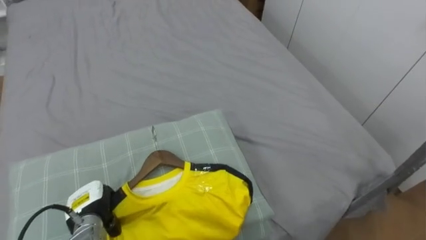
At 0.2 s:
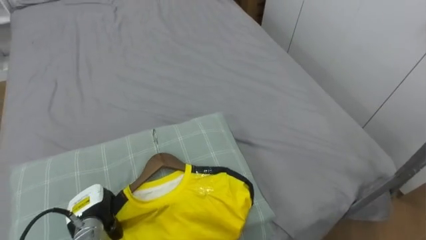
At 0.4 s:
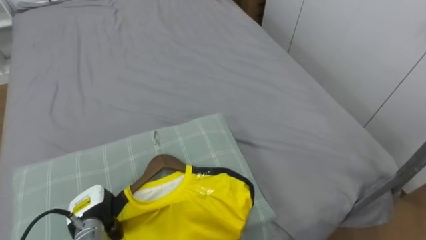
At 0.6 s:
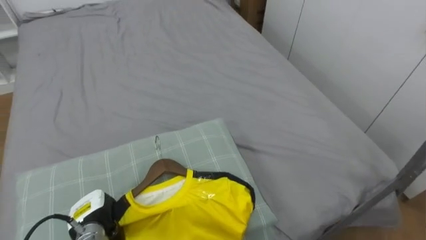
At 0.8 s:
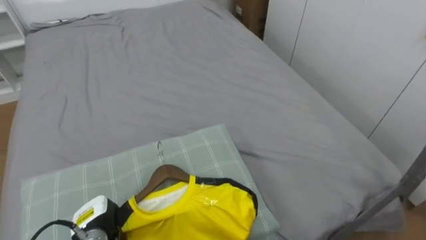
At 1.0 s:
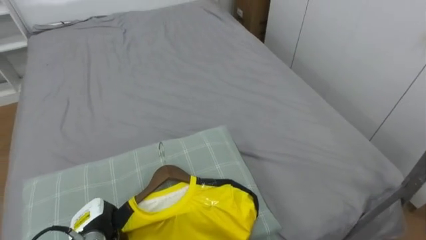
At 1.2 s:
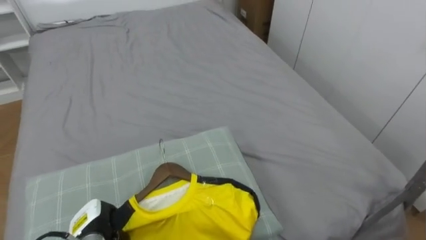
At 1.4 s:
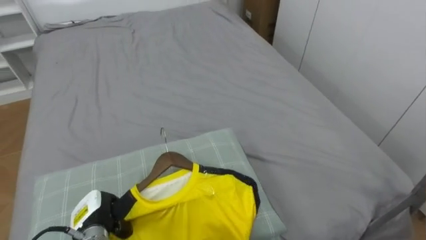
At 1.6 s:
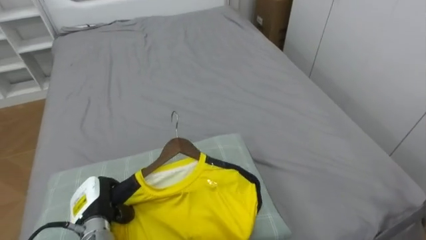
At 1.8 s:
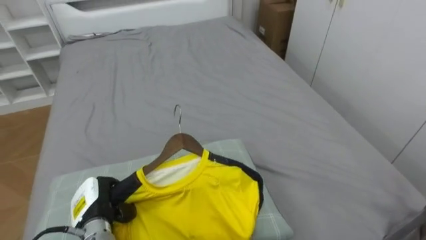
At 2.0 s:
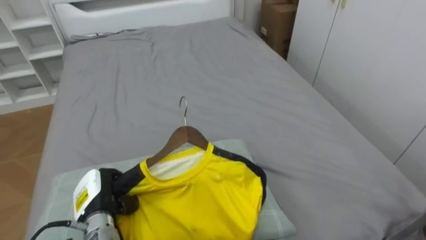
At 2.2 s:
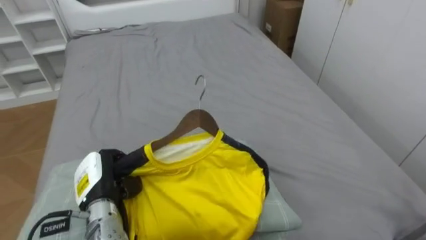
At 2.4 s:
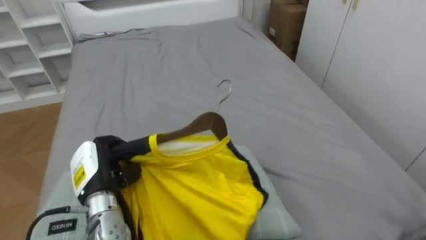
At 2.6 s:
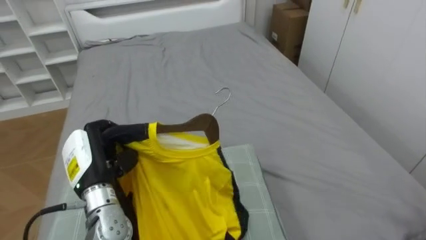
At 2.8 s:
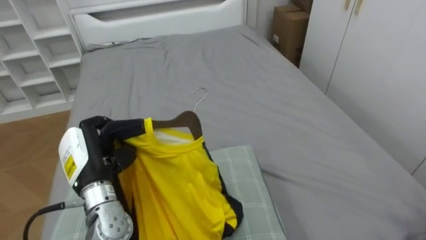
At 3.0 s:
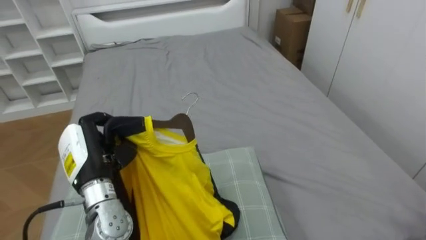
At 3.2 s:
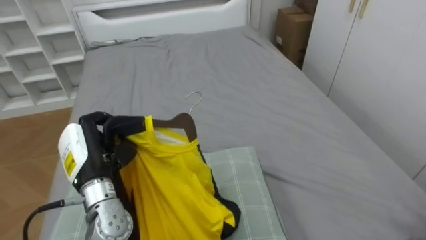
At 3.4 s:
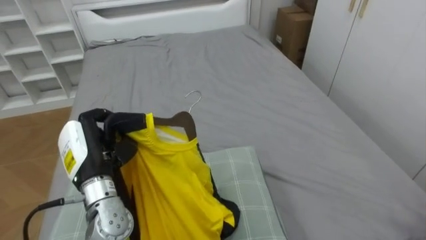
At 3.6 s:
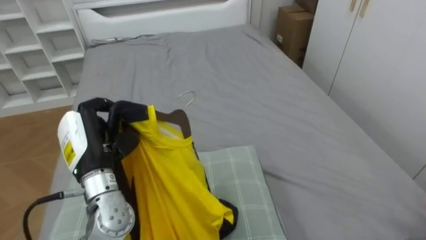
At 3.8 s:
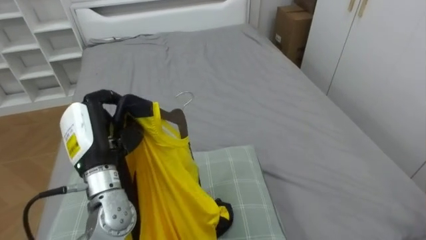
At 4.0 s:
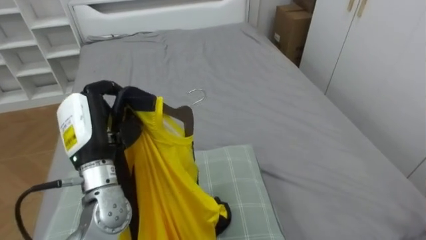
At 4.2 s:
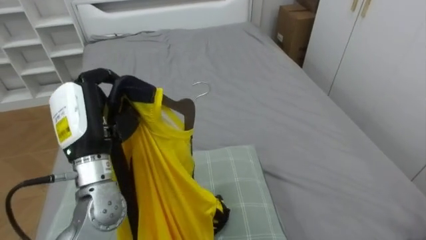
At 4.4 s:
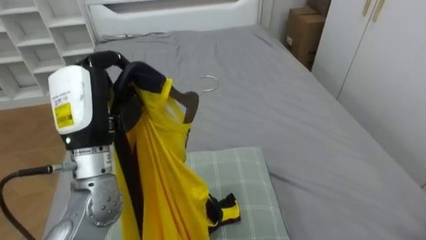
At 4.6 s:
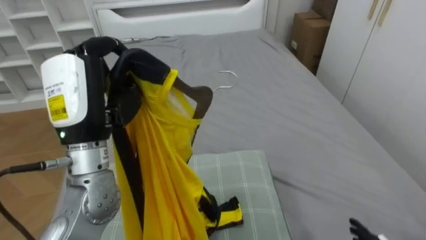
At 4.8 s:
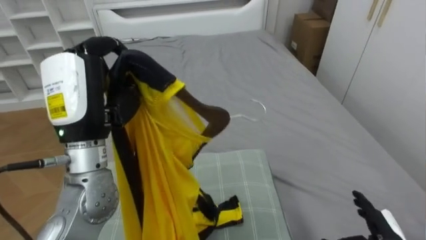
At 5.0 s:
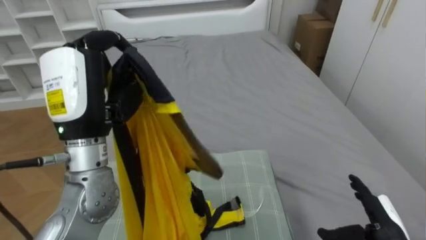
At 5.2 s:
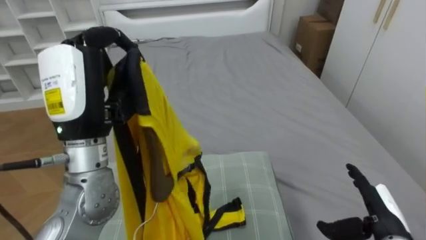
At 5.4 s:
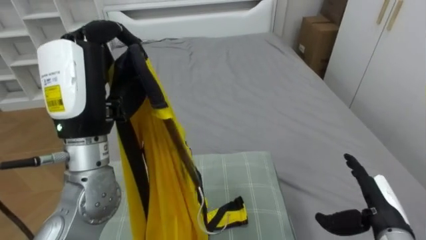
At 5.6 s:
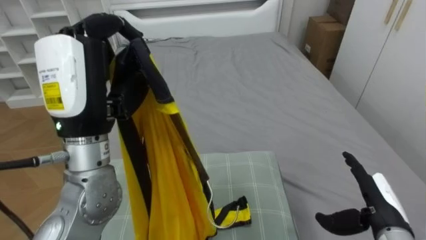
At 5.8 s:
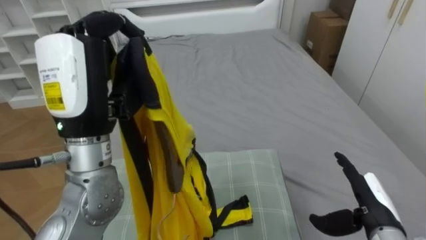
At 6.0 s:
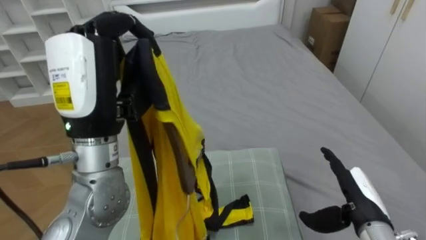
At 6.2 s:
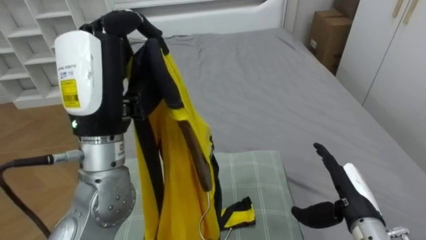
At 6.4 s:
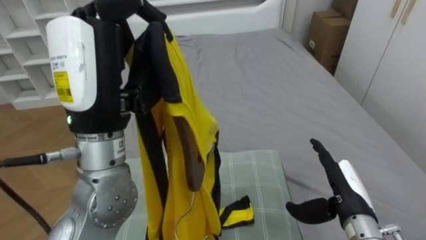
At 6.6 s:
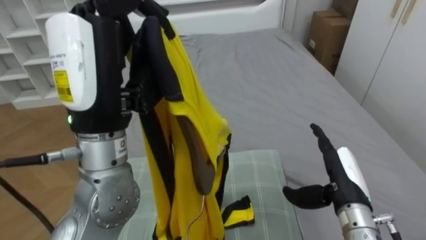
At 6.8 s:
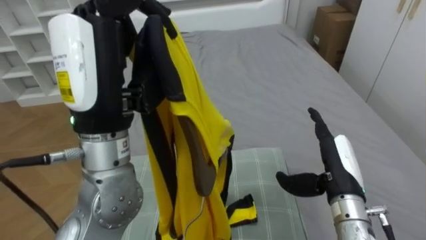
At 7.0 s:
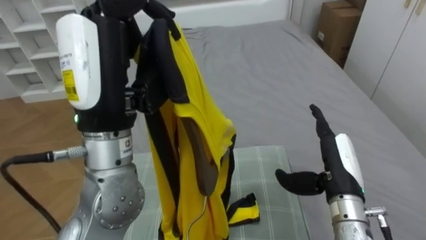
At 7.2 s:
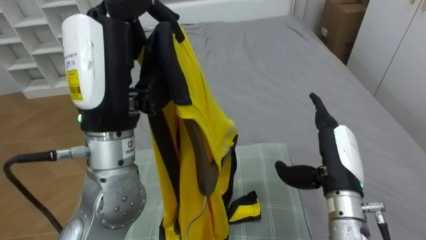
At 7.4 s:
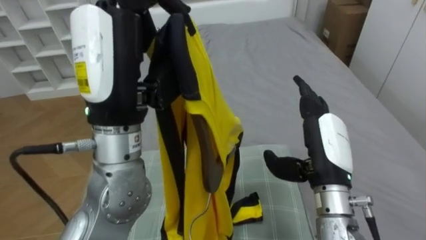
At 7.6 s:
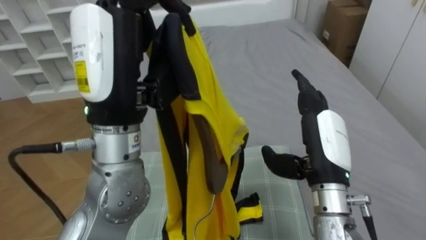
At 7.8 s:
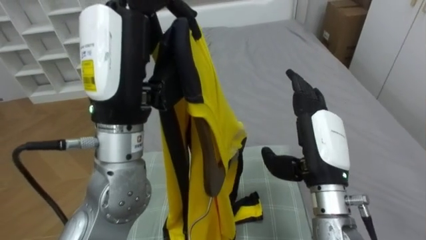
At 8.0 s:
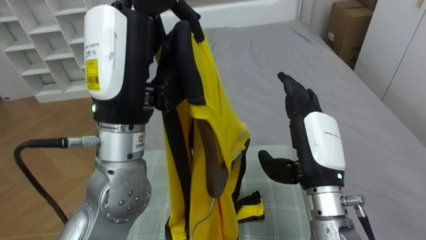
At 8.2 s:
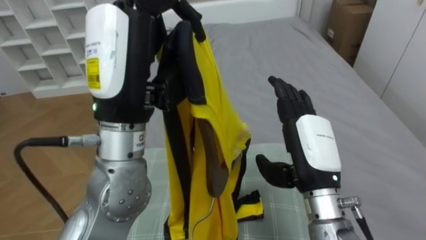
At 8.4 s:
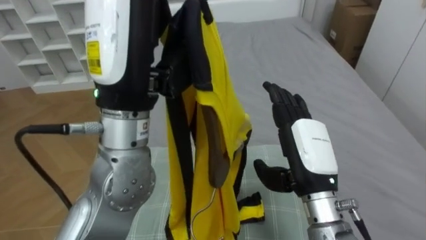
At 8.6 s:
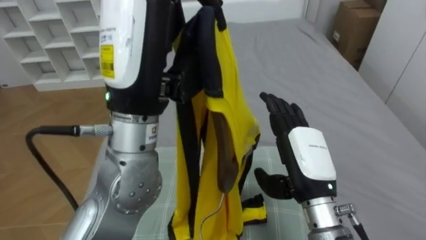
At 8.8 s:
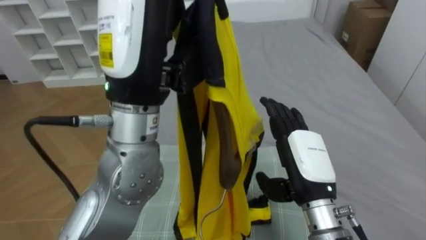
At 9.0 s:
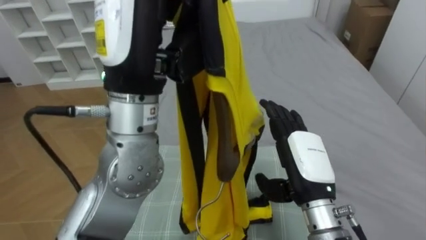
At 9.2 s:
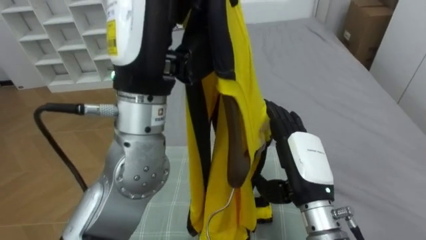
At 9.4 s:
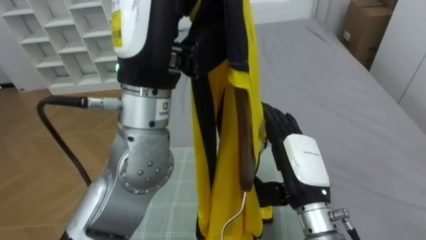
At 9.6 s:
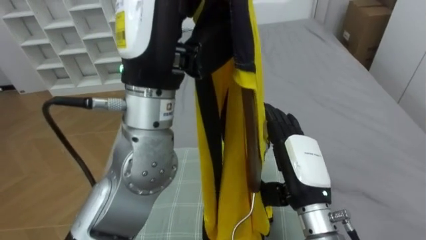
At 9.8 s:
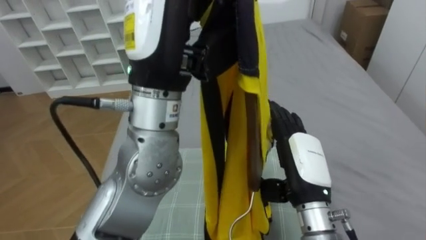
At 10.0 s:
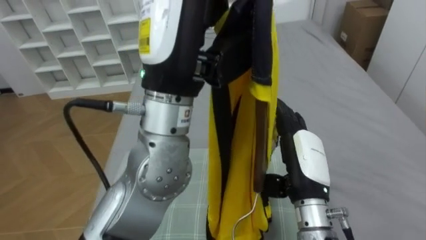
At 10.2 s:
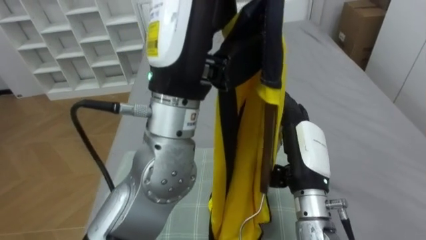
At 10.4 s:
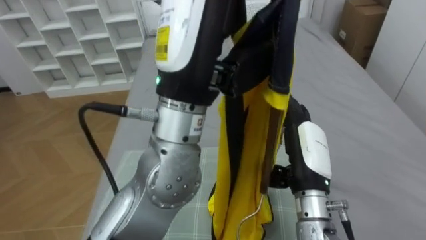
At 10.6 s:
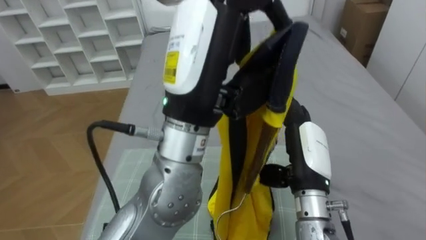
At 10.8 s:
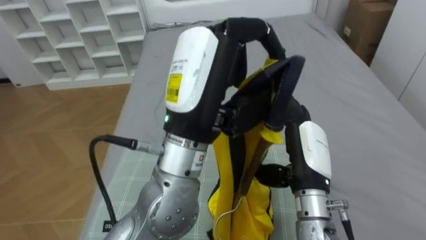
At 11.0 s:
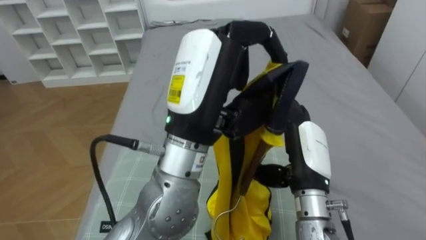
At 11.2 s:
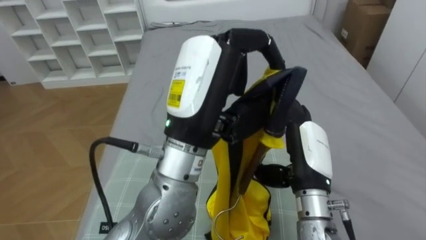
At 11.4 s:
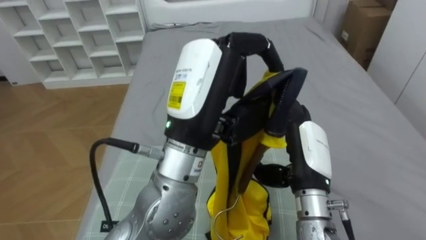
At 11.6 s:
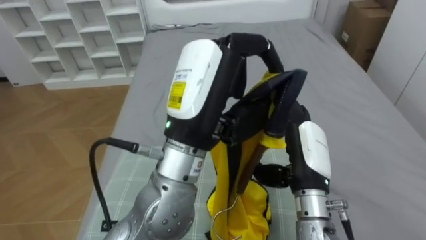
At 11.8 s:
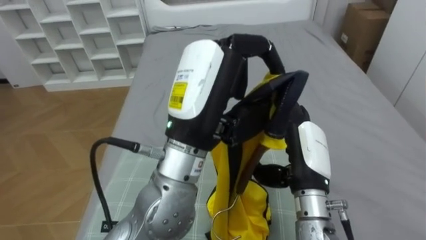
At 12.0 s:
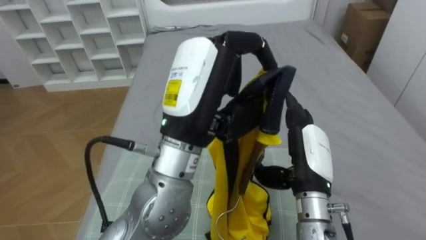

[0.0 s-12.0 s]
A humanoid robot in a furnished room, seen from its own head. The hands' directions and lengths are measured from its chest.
Task of the whole recording: Pick up the yellow shirt on the bed and hang it on the clothes rack on the right.
0.0 to 1.6 s: The left hand closes up.
1.6 to 3.0 s: The left hand shifts approximately 15 cm upward.
3.0 to 4.4 s: The left hand goes about 10 cm upward.
4.4 to 6.0 s: The left hand travels upward by approximately 5 cm.
6.0 to 7.6 s: The left hand ends up approximately 5 cm from where it was. The right hand is displaced upward and to the left by roughly 15 cm.
9.0 to 10.4 s: The left hand moves to the right, approximately 5 cm.
10.4 to 12.0 s: The left hand shifts roughly 5 cm downward.

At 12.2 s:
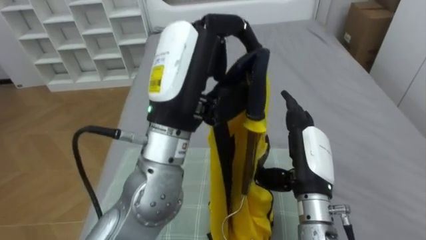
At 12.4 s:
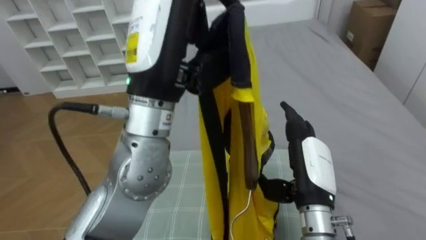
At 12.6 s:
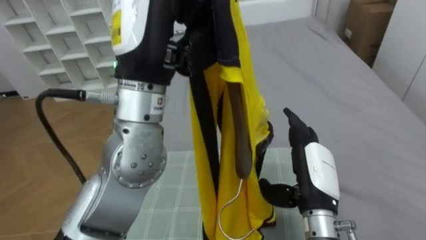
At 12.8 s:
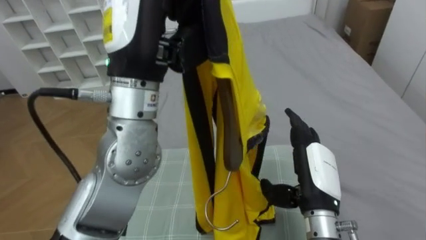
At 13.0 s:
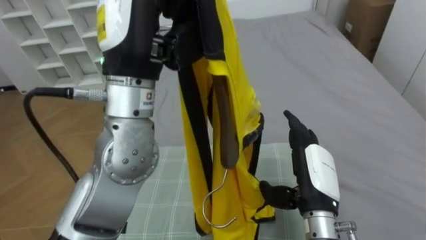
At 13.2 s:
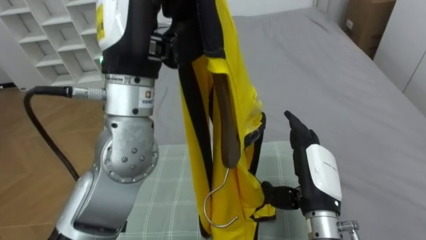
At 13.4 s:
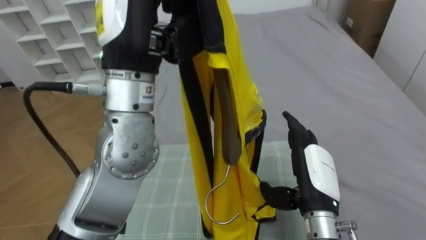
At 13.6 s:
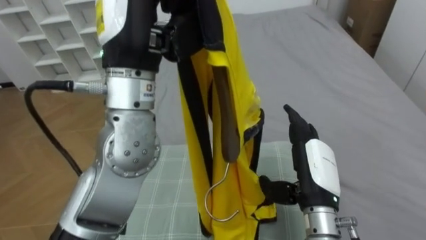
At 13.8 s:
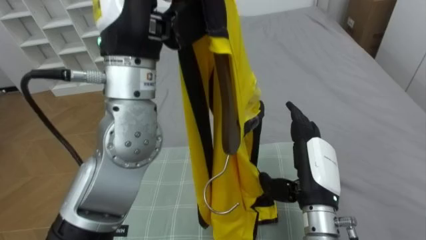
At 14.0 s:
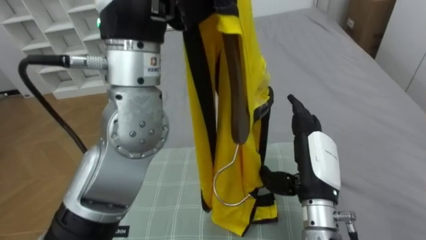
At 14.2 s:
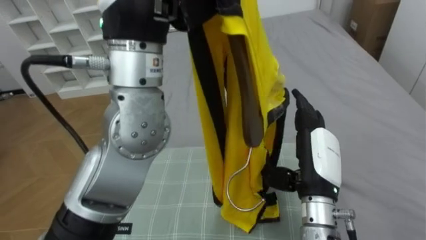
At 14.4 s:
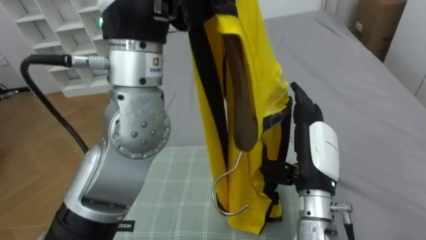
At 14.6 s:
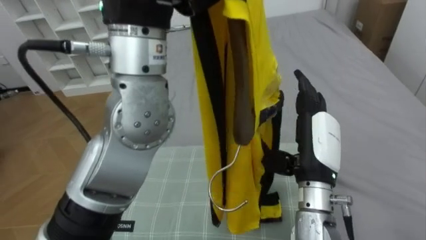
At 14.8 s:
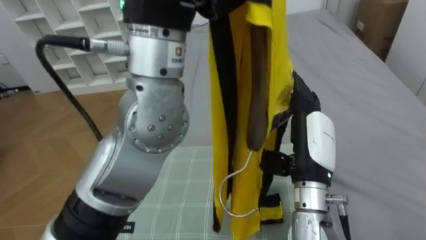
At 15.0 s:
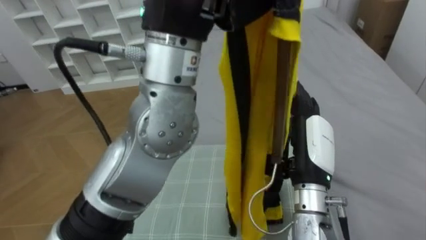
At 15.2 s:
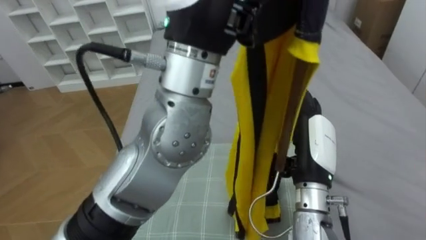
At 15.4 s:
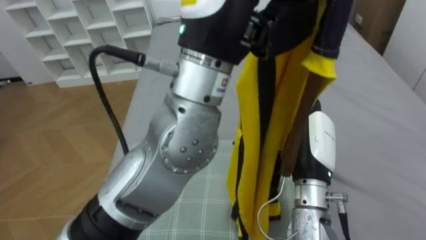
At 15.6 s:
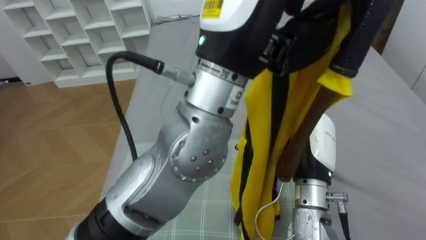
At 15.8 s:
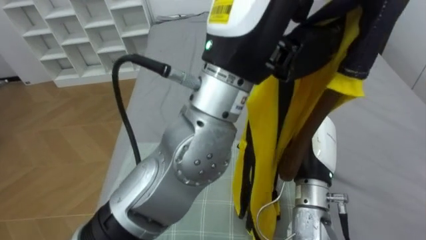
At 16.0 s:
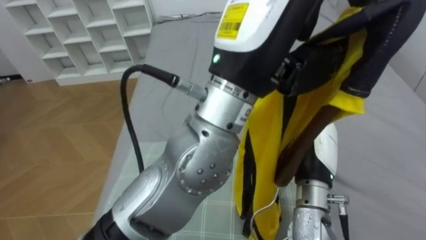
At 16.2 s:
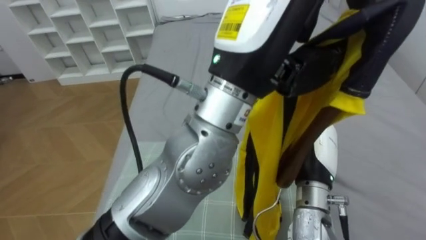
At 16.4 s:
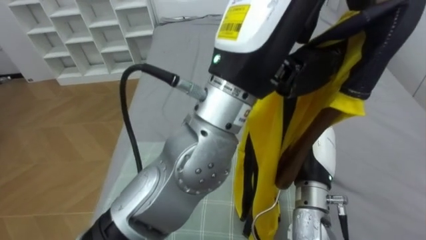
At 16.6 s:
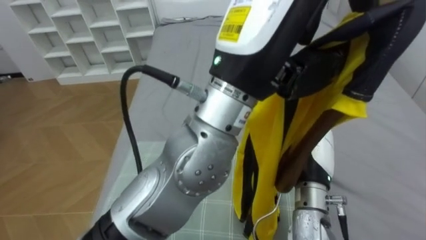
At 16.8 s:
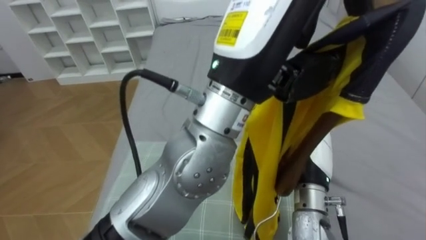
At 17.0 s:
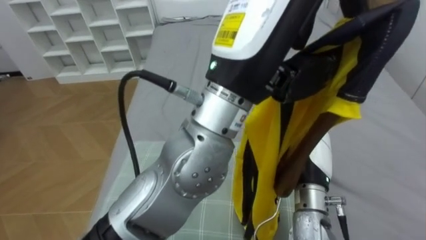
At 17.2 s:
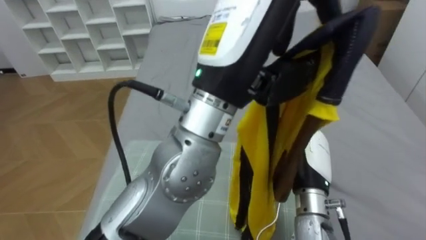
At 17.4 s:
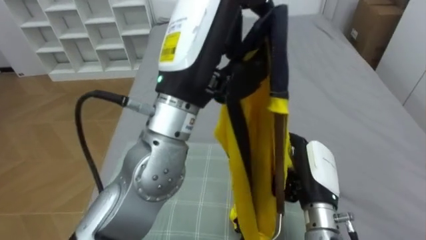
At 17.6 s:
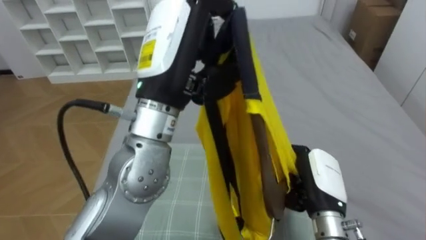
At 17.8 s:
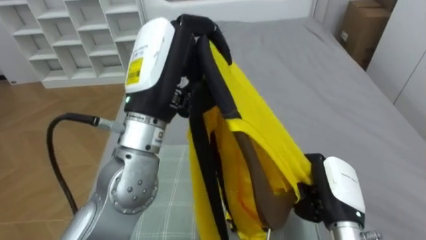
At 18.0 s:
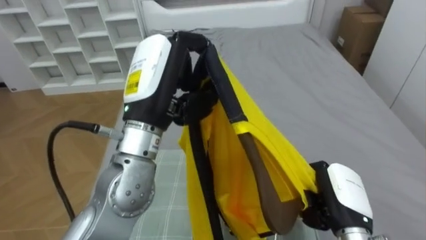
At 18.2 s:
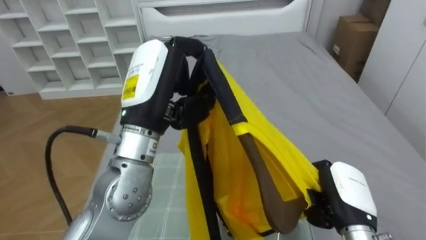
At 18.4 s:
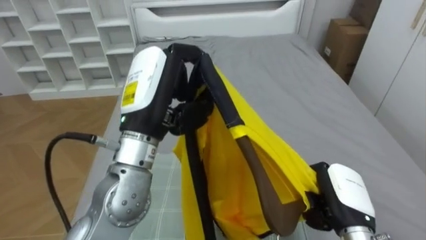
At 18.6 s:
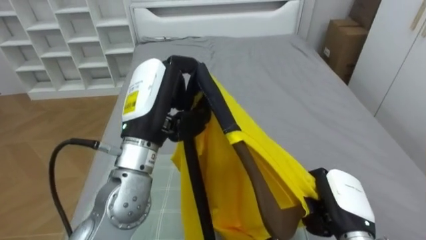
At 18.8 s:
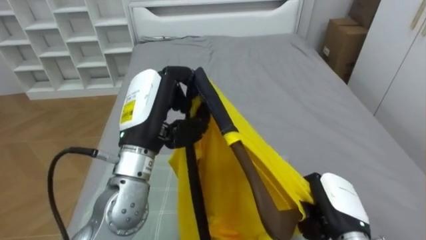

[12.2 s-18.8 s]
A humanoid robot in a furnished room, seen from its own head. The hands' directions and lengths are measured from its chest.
Task of the whole recording: Pick up the yellow shirt on the bed and hang it on the clothes rack on the right.
12.2 to 13.8 s: The left hand moves upward, about 10 cm.
15.4 to 17.2 s: The right hand closes, while the left hand moves roughly 5 cm.
17.2 to 18.8 s: The left hand moves downward and to the left, about 20 cm. The right hand moves downward, to the right and backward, some 10 cm.
